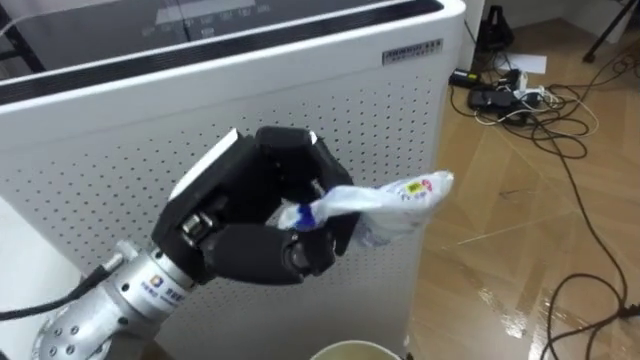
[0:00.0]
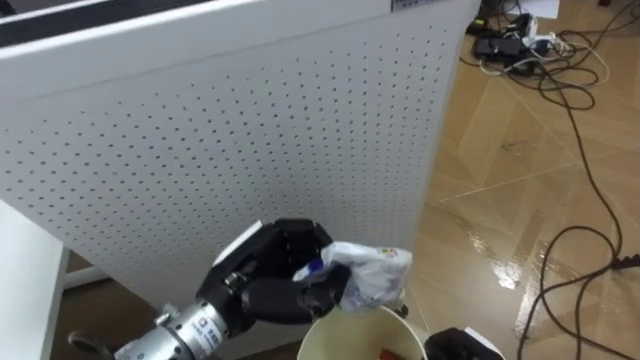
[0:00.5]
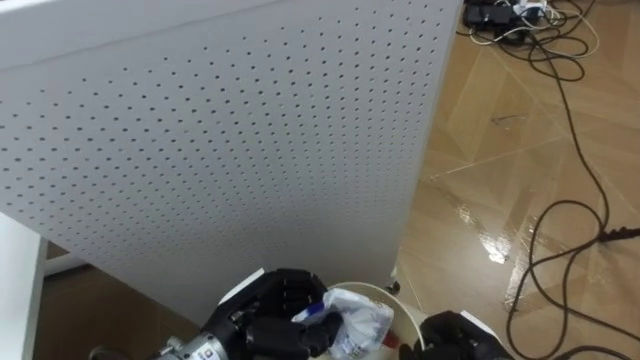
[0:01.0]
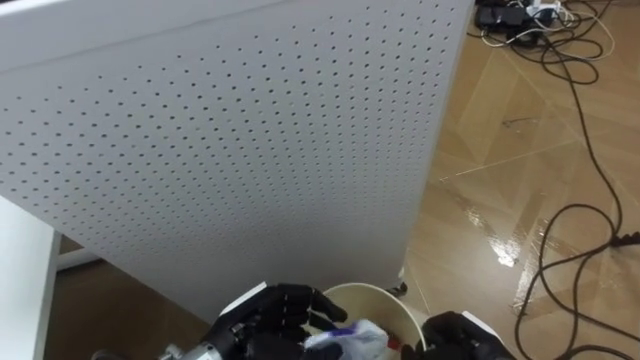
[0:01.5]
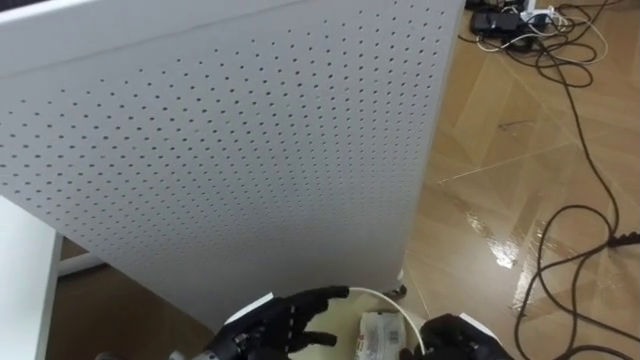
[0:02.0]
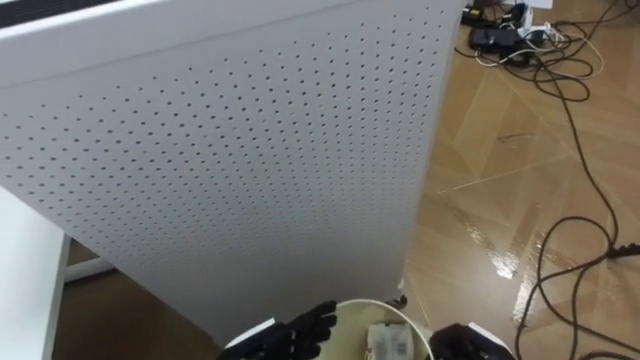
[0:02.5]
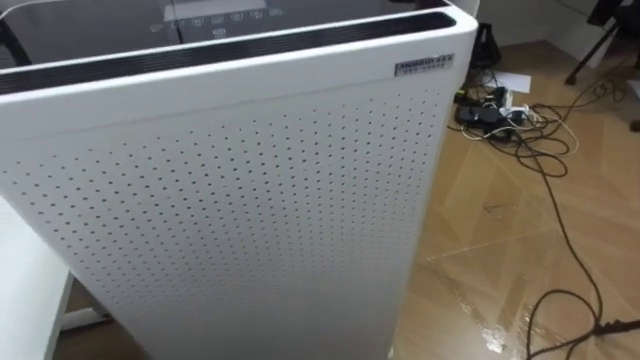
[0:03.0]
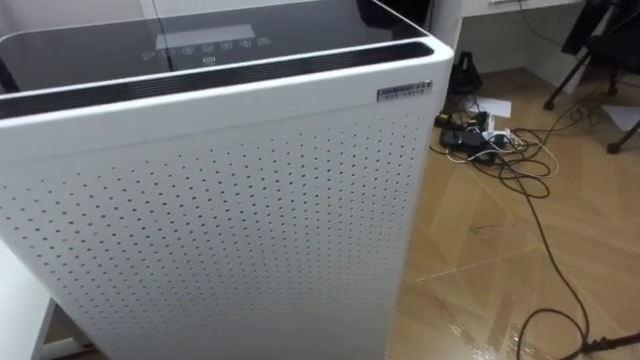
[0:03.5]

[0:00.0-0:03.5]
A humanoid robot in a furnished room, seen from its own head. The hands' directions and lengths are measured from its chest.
Task of the whole recording: Pick up the light blue package, the candy box, and the dark blue package separately, and put them into the trash can held in your right hand.
0:00.0 to 0:02.0: The left hand is displaced downward by roughly 25 cm, and opens up.

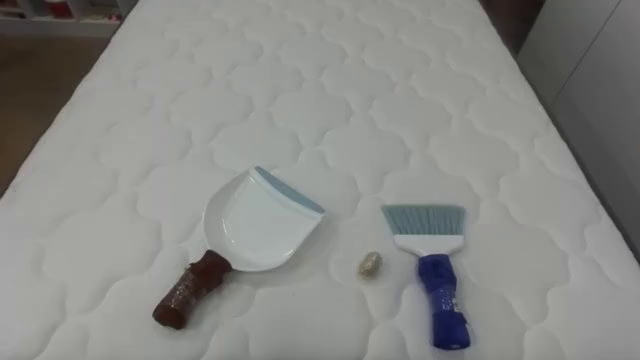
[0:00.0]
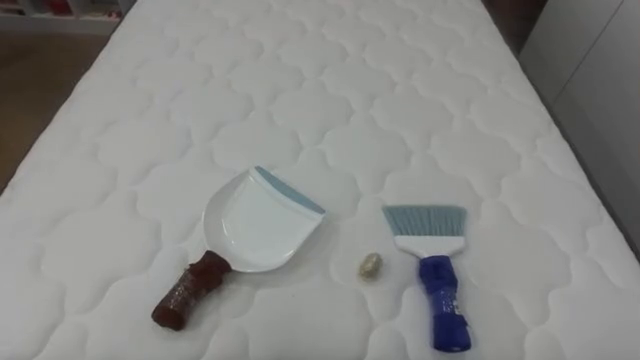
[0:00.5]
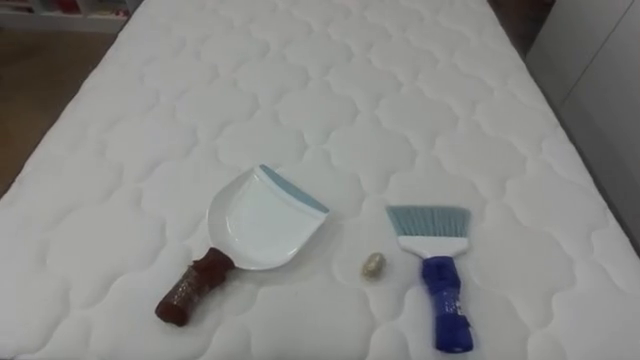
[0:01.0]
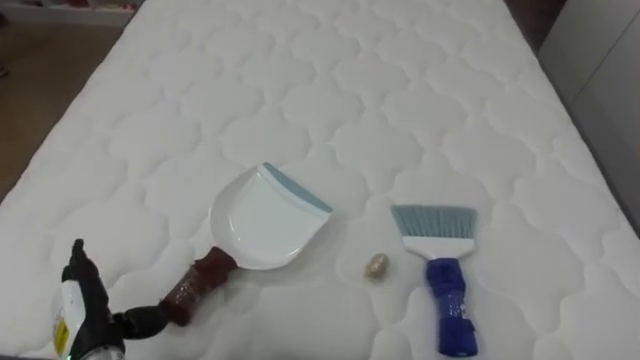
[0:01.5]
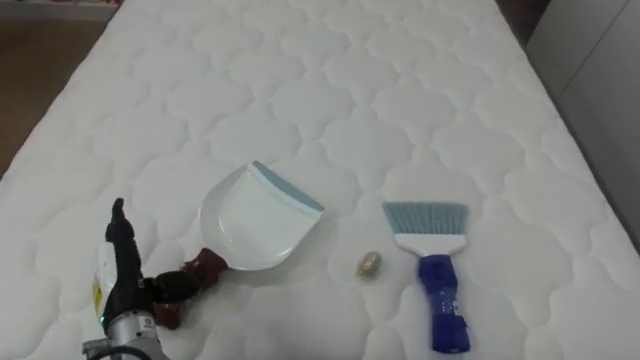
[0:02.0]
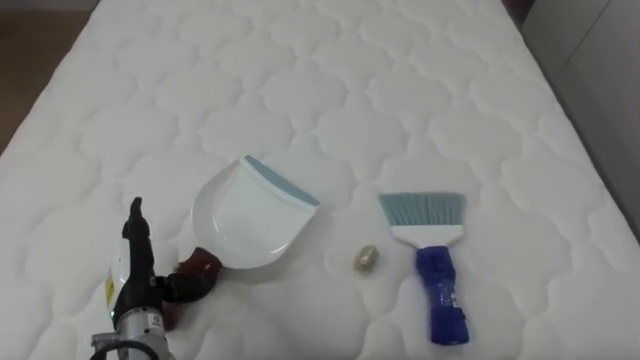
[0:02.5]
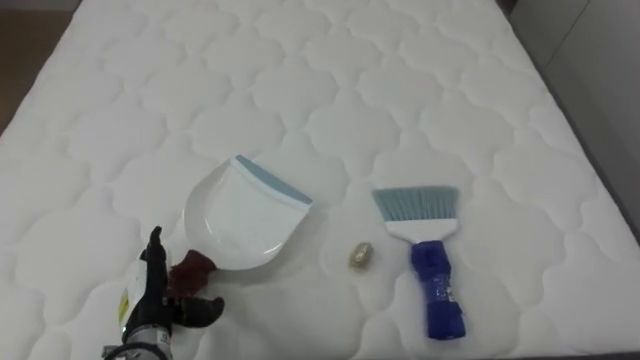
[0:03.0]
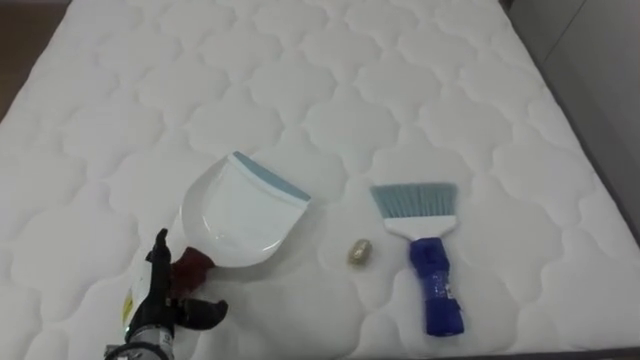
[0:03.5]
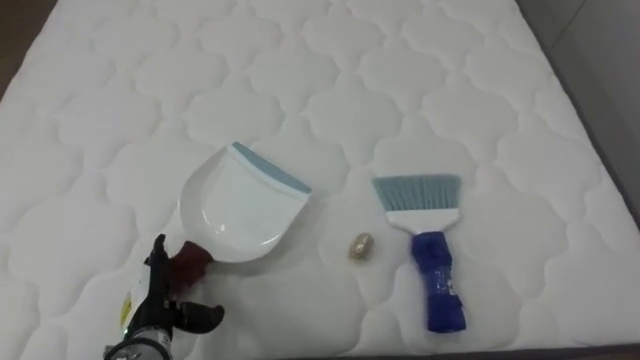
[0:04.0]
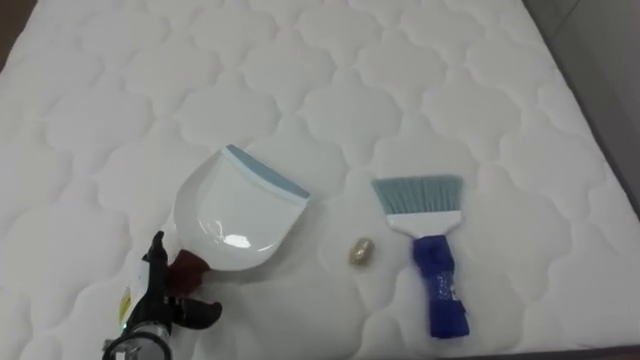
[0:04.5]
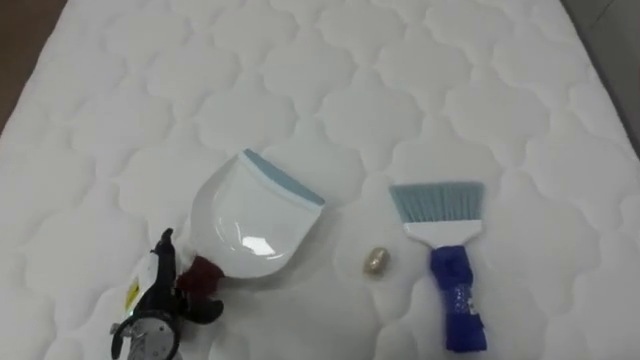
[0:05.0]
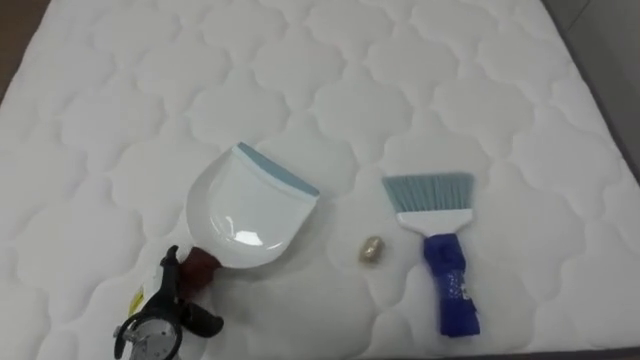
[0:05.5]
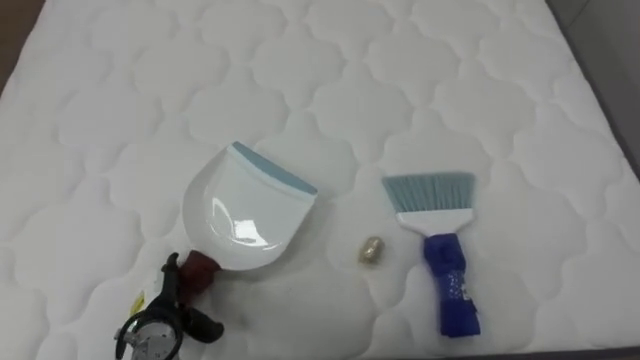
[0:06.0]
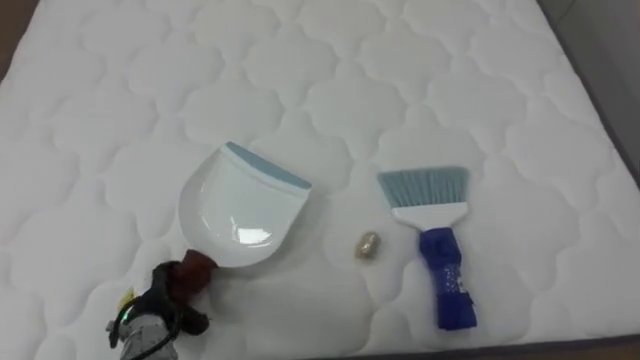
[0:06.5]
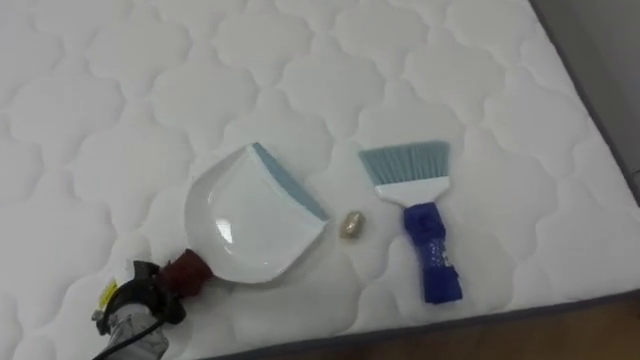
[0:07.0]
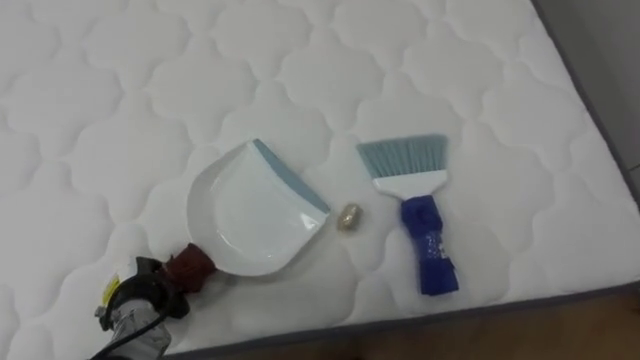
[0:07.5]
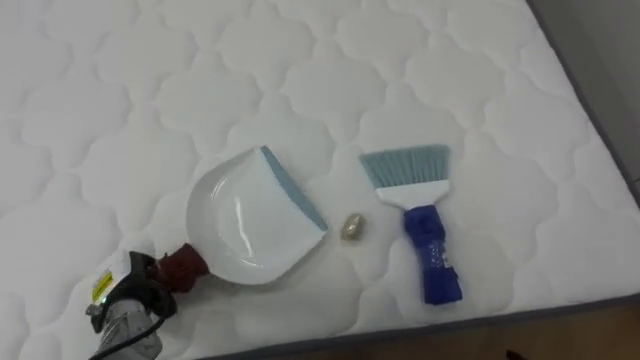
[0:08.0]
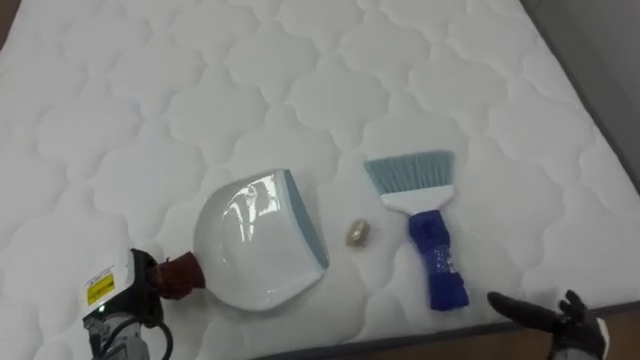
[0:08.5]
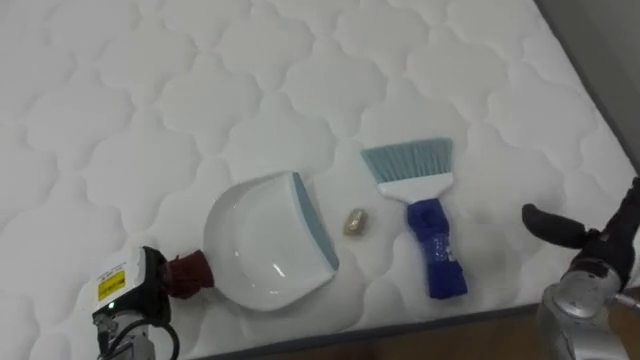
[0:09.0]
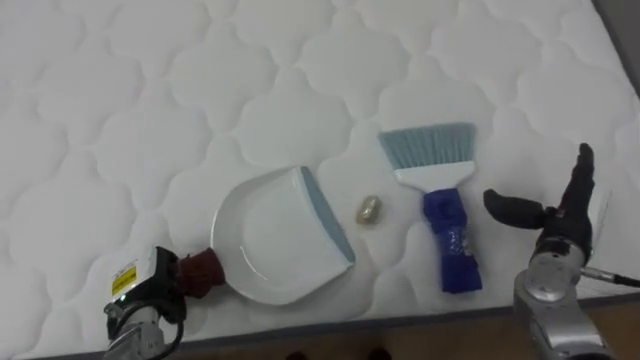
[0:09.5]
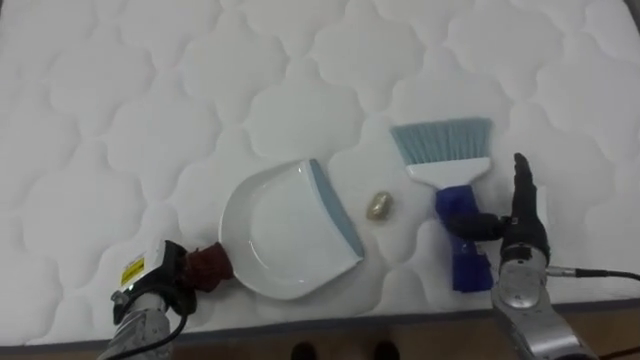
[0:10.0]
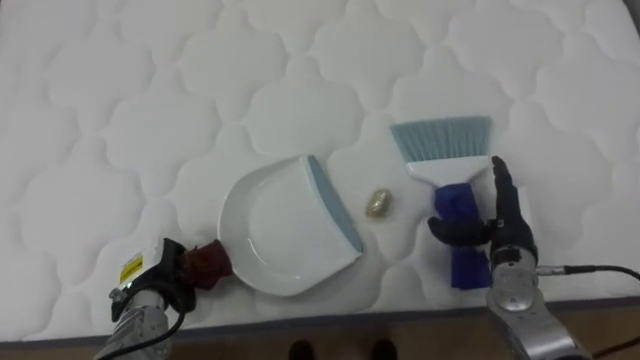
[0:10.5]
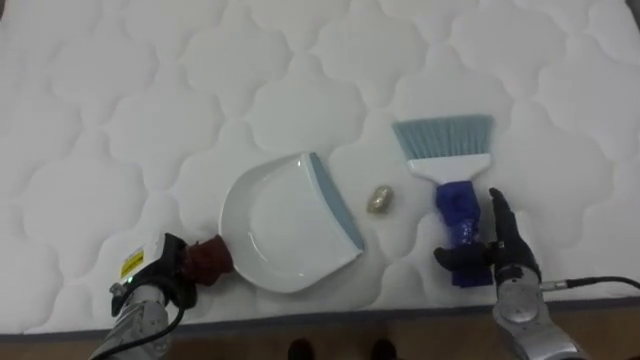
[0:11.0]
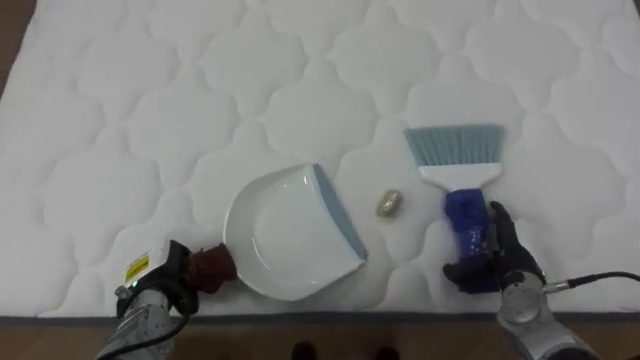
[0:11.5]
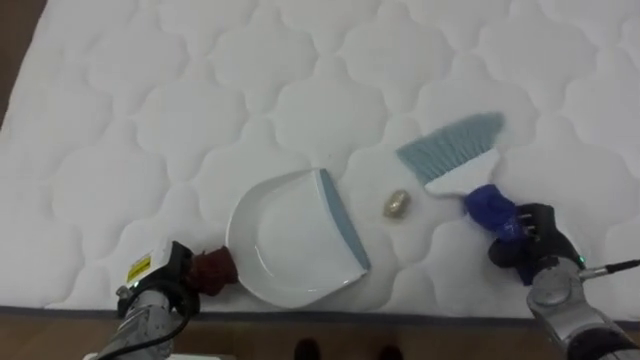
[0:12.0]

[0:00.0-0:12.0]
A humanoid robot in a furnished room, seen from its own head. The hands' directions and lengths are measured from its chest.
Task of the whole recording: Pick up the brush on your right and the dustpan on your left. Use the brush to sweep the crumpled paper on the bed into the dustpan, then turn left and empty it into the basket.
0:02.0 to 0:04.0: The left hand shifts approximately 5 cm downward.
0:06.0 to 0:08.0: The left hand changes place by roughly 5 cm, and closes its fingers.
0:10.0 to 0:12.0: The right hand shifts by about 5 cm, and closes up.

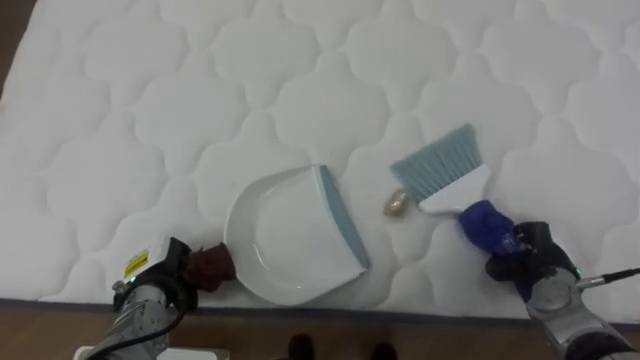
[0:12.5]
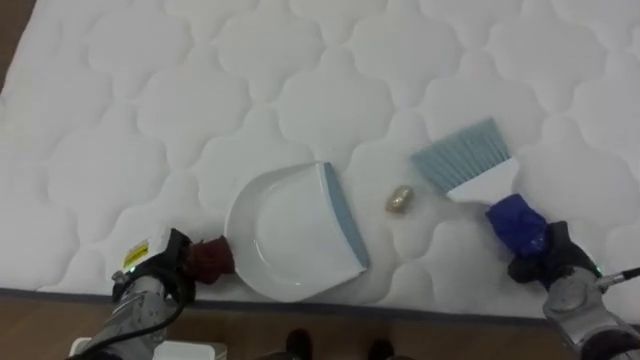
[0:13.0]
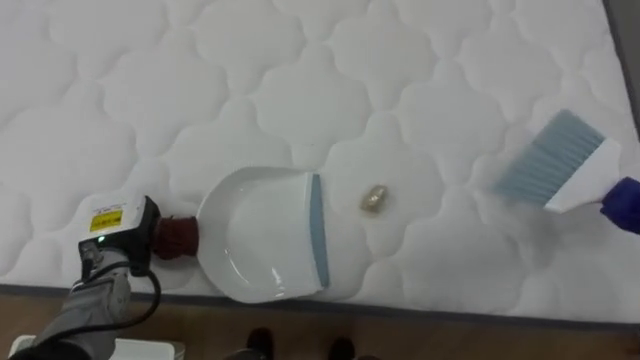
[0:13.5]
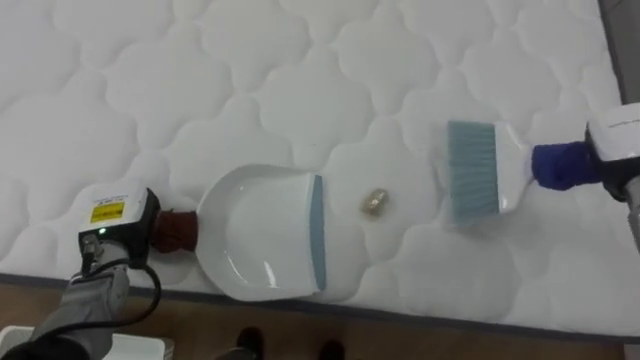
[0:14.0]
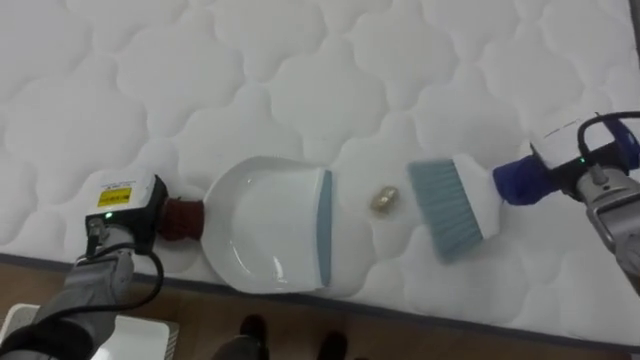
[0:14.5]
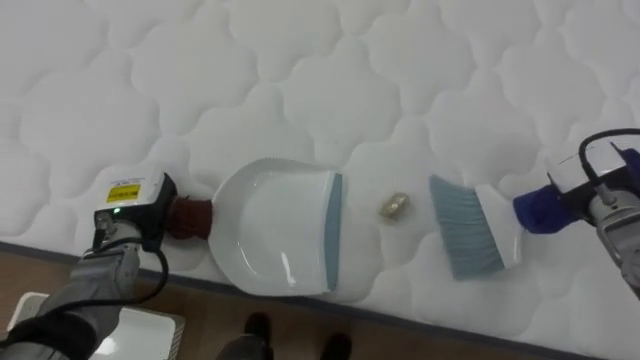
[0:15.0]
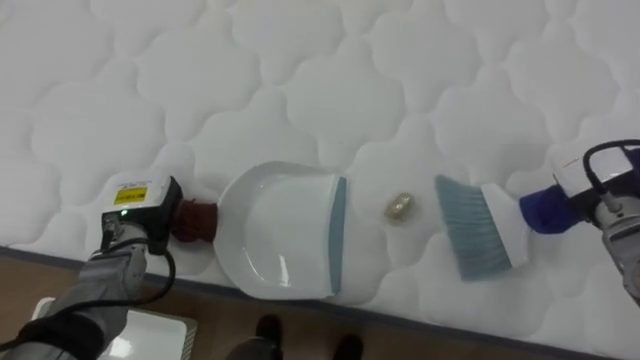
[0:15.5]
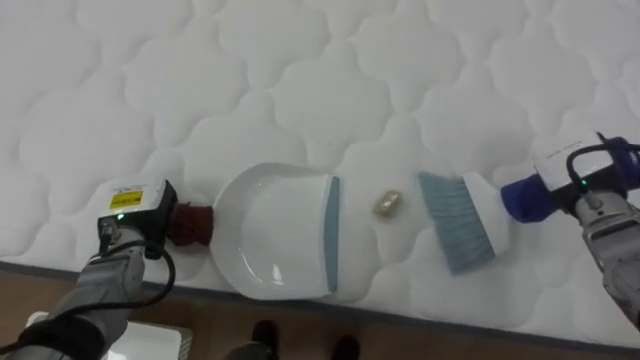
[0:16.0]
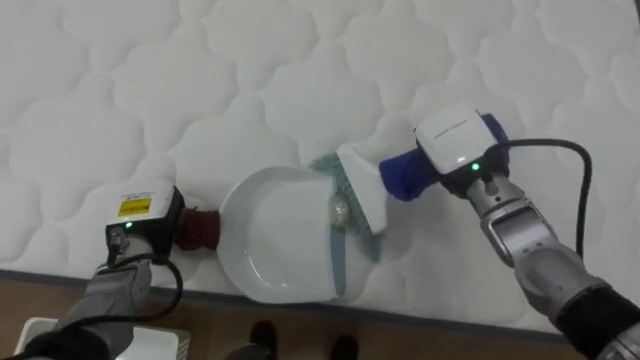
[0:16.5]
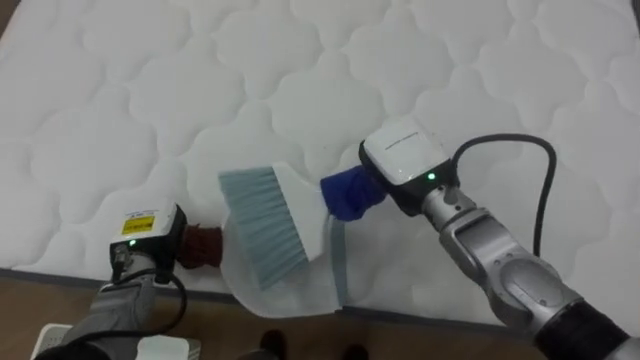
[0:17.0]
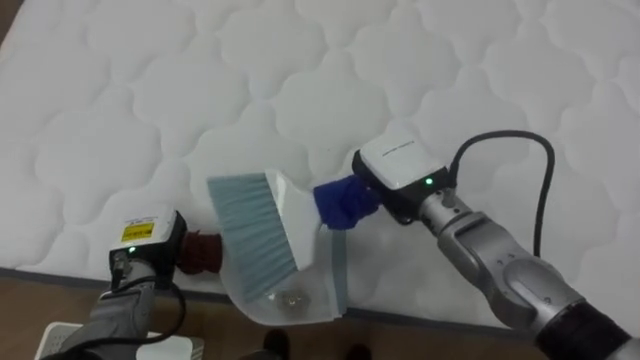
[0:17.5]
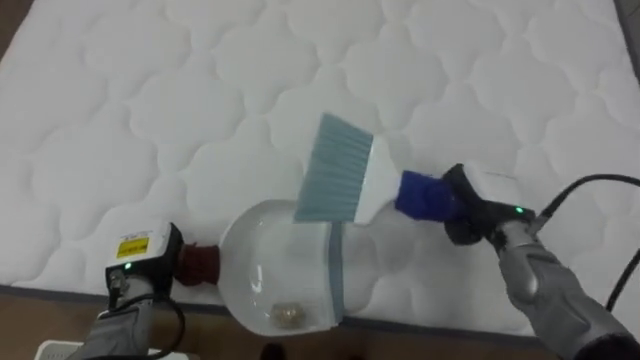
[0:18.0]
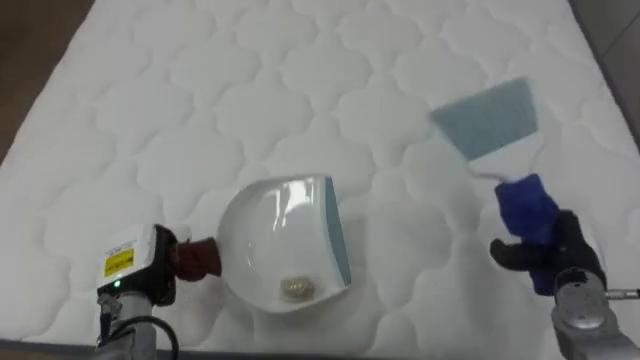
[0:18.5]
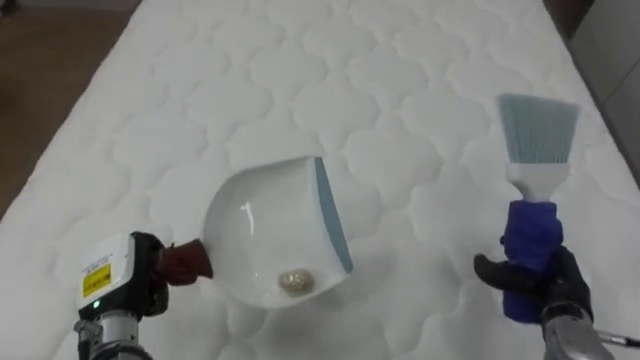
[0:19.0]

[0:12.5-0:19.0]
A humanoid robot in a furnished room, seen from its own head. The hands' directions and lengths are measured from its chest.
Task of the whole recording: Pick up the brush on your right and the dustpan on your left. Use the brush to sweep the crumpled paper on the bed into the dustpan, then turn left and empty it into the basket.
0:12.5 to 0:14.5: The left hand travels upward and forward by approximately 10 cm.
0:14.5 to 0:17.0: The right hand moves to the left, roughly 20 cm.
0:17.0 to 0:19.0: The left hand is displaced backward by roughly 5 cm. The right hand heads to the right, downward and backward, covering about 25 cm.
